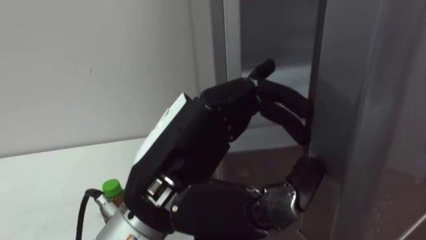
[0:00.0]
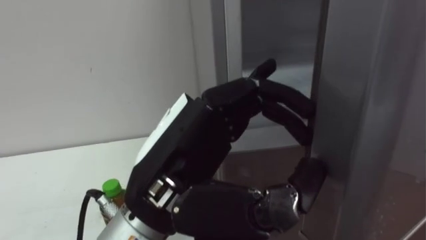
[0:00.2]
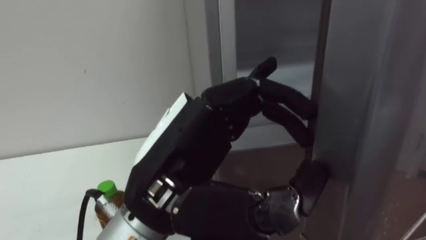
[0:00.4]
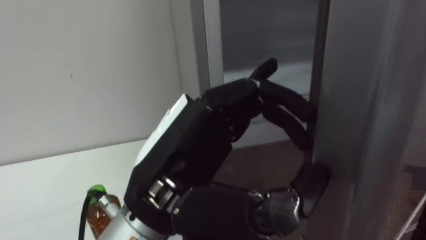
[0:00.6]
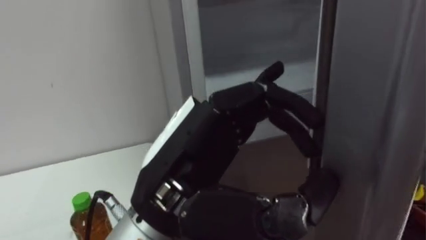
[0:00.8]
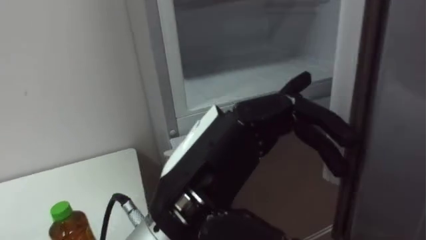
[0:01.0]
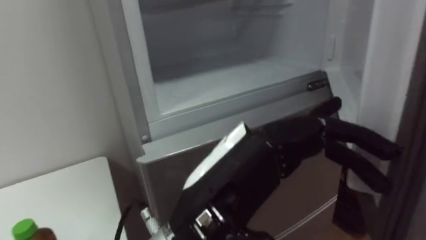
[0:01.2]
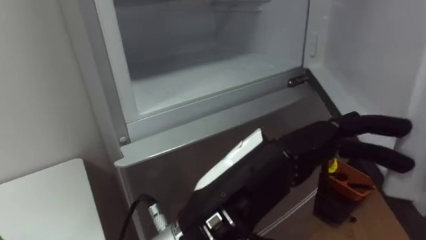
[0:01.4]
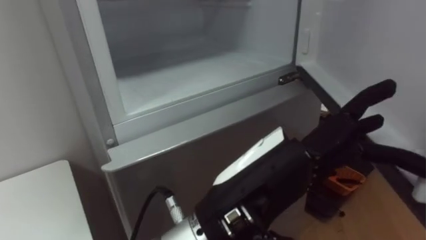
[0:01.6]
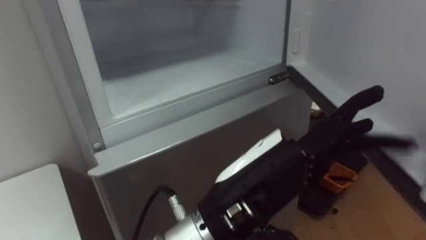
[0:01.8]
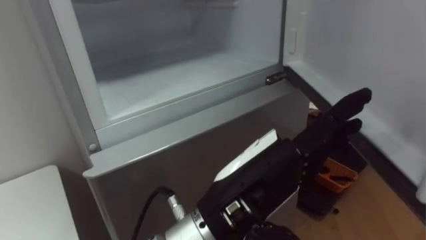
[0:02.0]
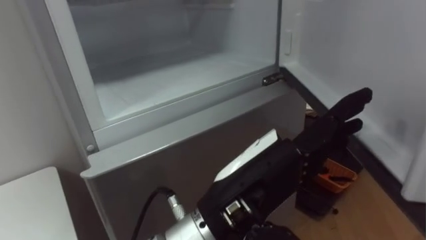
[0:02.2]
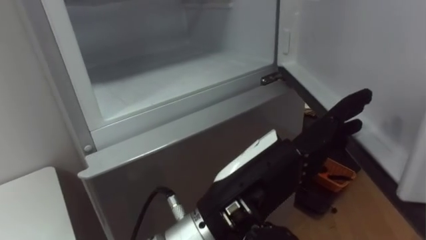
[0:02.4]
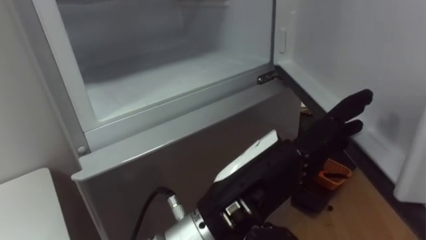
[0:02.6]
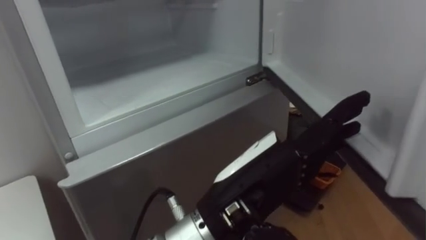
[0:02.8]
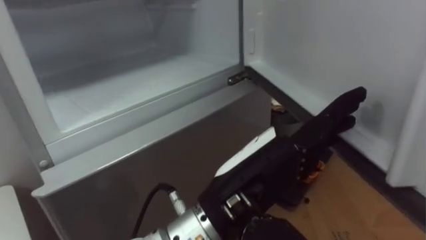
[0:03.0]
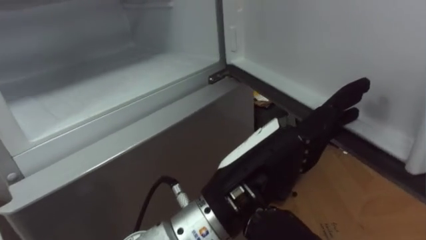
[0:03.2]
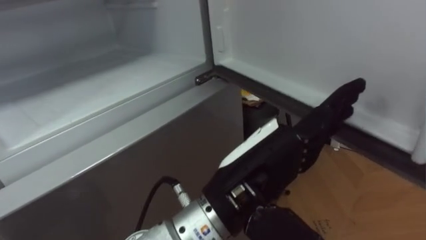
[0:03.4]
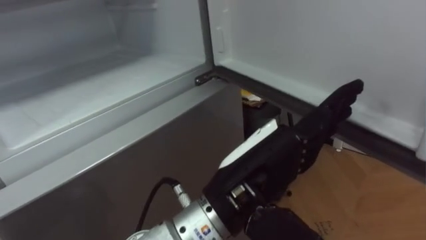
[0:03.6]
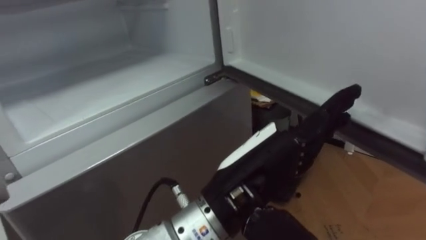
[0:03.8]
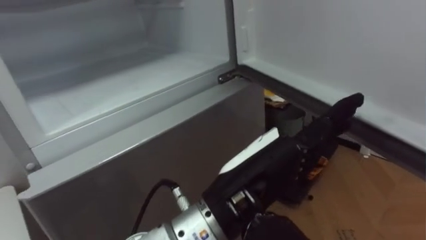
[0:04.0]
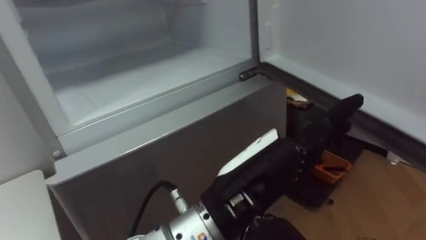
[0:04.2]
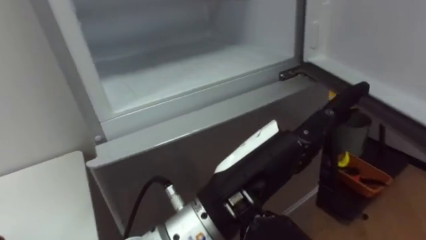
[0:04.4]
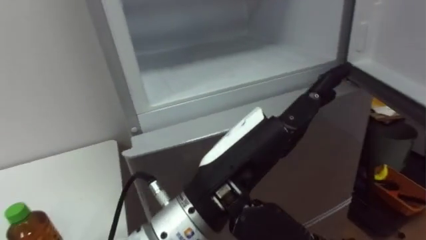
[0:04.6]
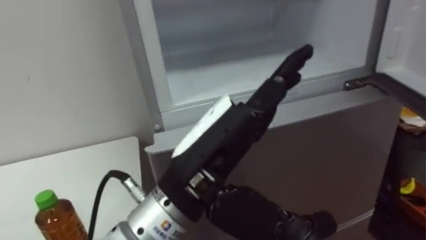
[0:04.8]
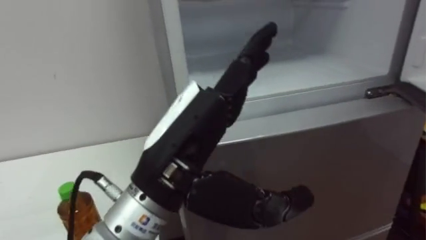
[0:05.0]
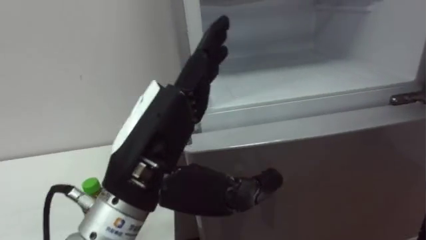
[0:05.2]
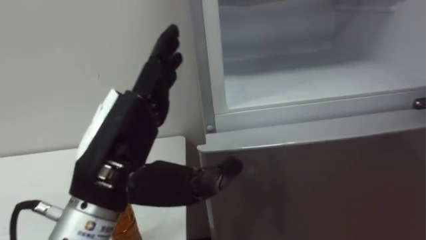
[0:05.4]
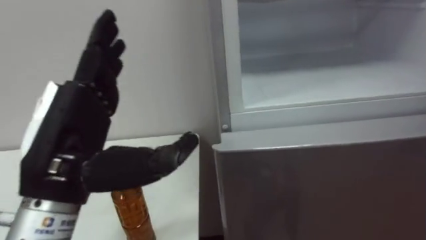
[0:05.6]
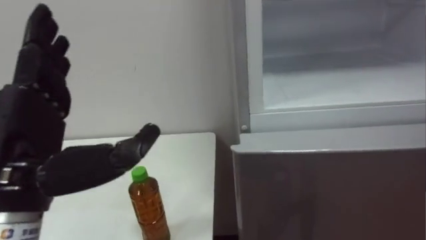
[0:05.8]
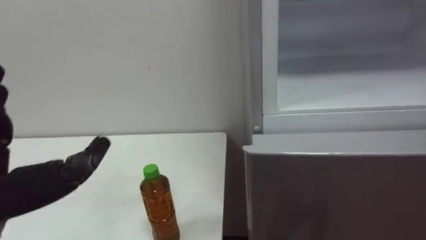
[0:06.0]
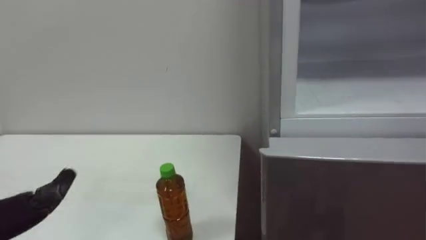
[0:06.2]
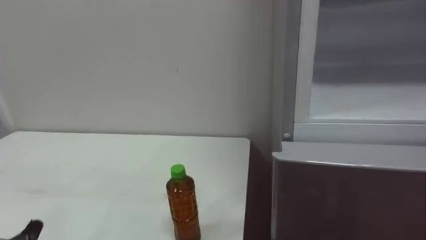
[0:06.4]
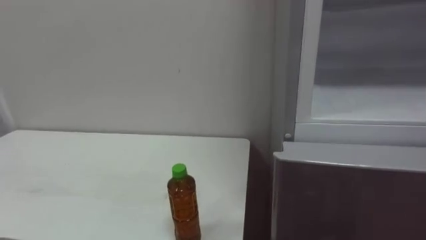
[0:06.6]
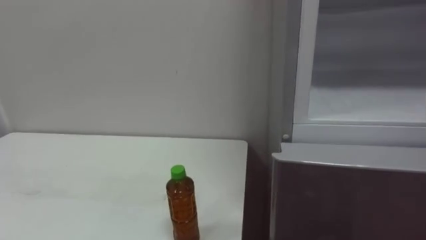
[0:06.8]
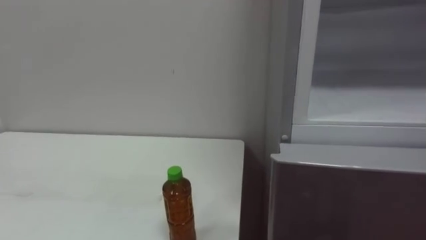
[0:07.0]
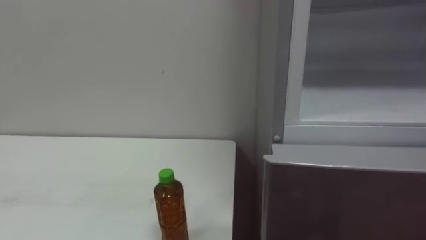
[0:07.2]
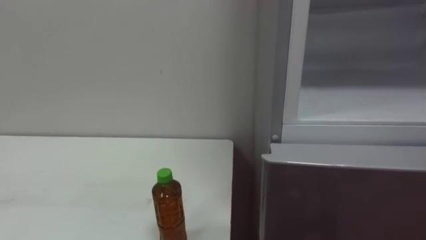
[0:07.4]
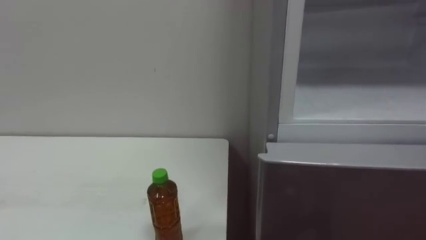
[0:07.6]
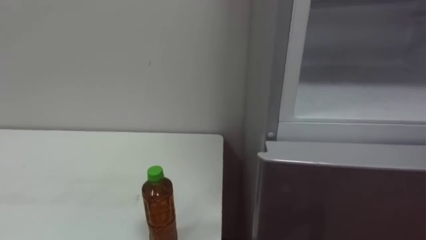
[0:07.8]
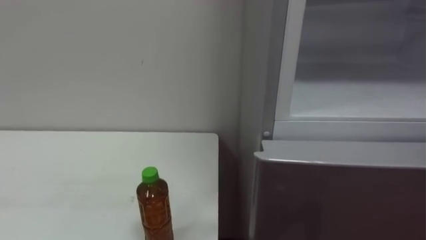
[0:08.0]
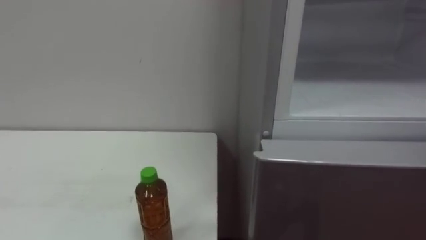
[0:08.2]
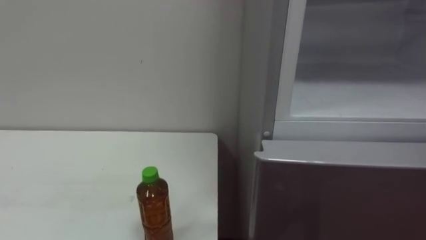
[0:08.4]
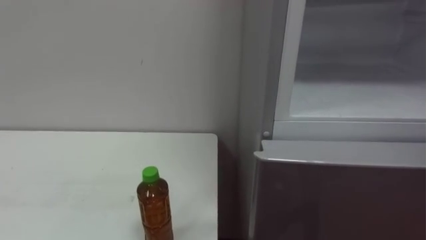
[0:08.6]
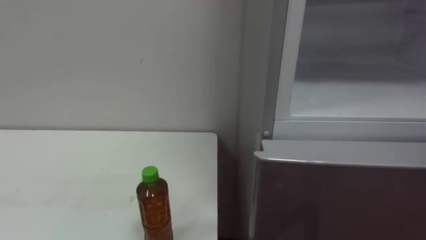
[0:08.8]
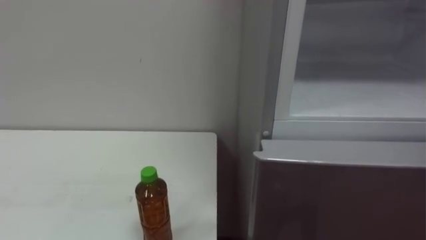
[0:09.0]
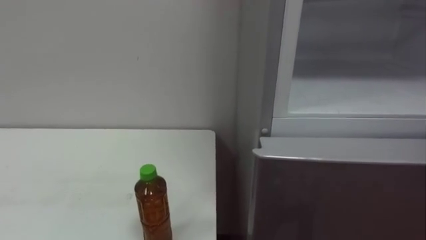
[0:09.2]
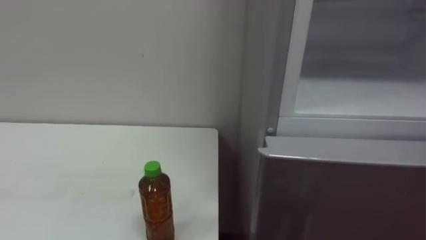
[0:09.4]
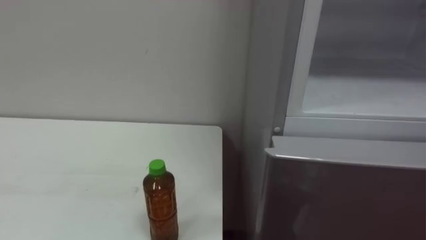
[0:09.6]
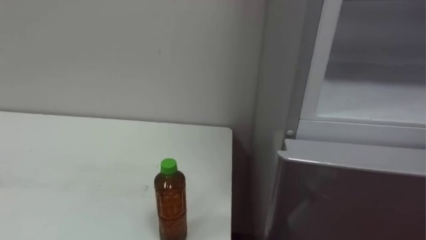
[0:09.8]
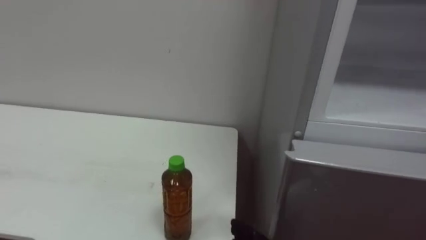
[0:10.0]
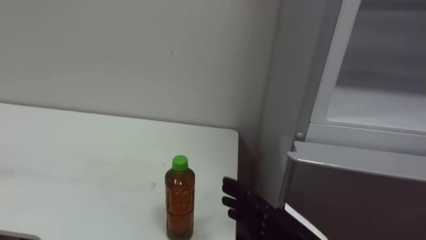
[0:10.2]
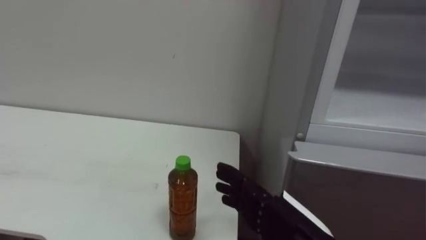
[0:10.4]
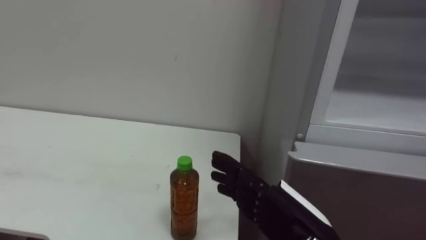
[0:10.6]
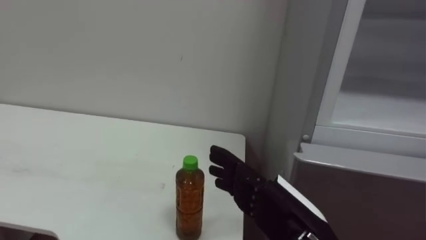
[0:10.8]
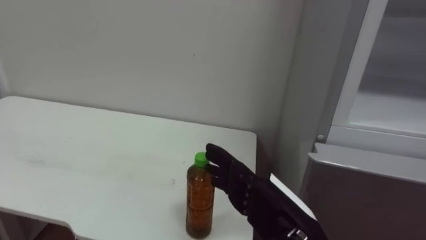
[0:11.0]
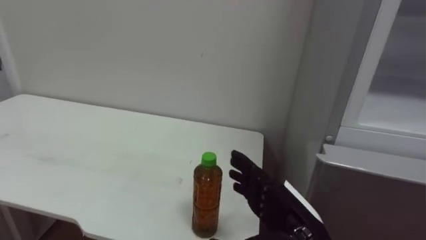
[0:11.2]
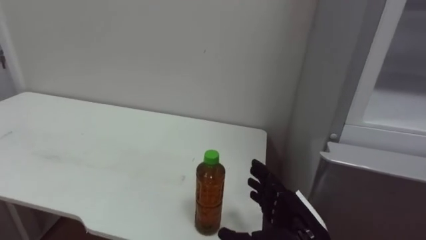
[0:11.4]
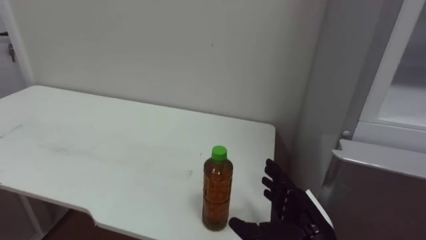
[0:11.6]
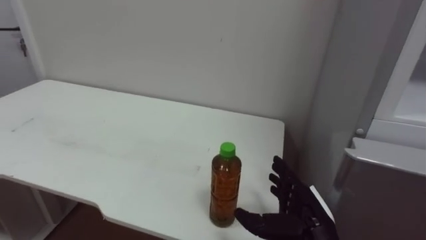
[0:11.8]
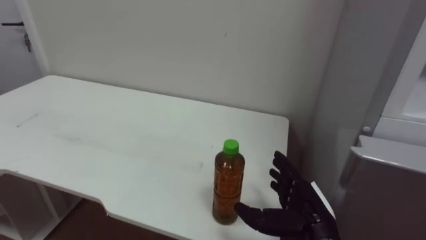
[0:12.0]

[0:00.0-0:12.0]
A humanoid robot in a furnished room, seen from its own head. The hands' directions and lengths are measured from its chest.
Task of the whole recording: Open the upper refrigerator door, put the drink from the table into the refrigerator, and then close the refrigerator door.
0:00.0 to 0:01.6: The left hand goes some 5 cm to the right.
0:10.4 to 0:12.0: The right hand goes some 10 cm forward and downward.

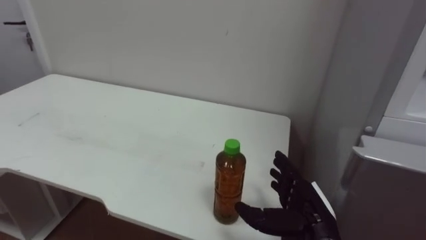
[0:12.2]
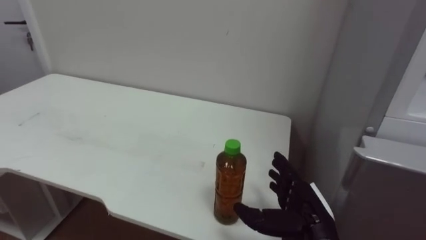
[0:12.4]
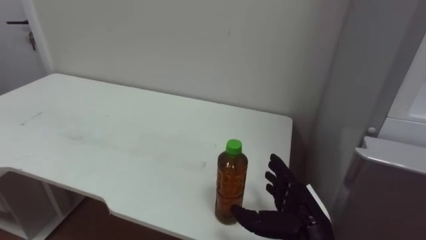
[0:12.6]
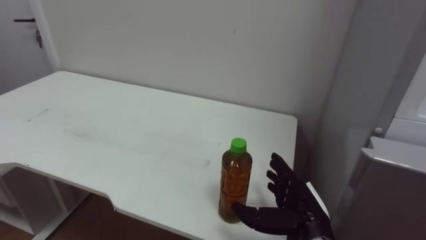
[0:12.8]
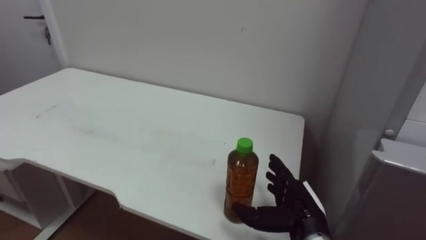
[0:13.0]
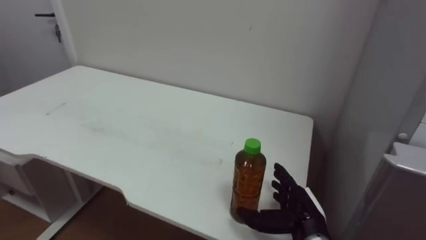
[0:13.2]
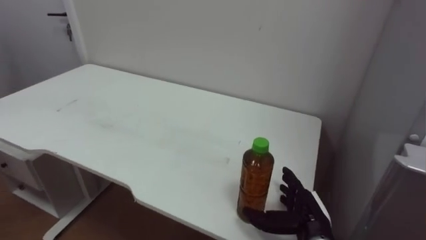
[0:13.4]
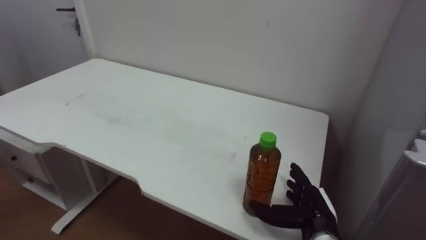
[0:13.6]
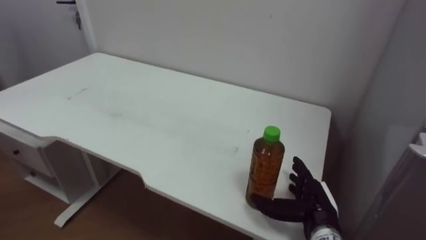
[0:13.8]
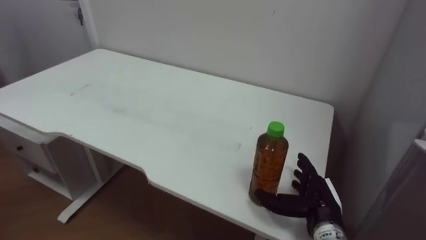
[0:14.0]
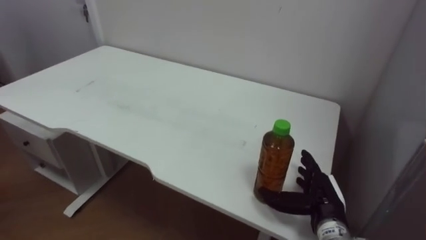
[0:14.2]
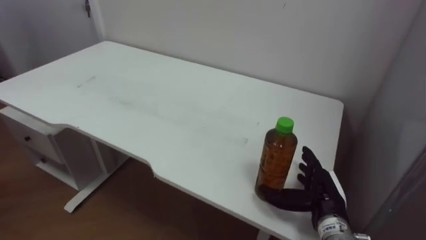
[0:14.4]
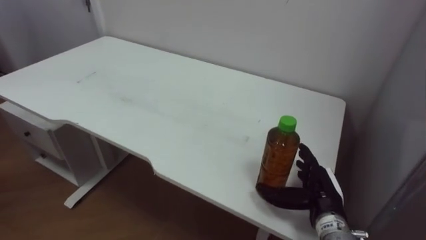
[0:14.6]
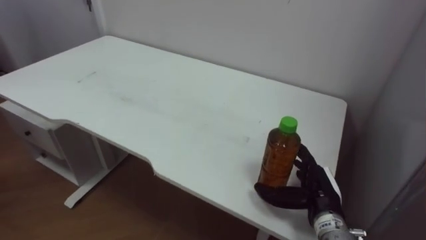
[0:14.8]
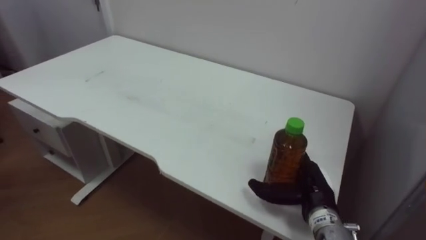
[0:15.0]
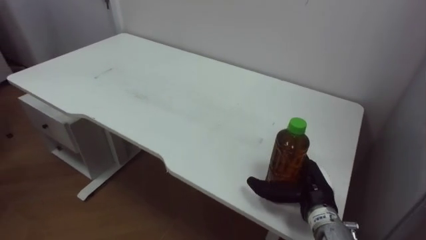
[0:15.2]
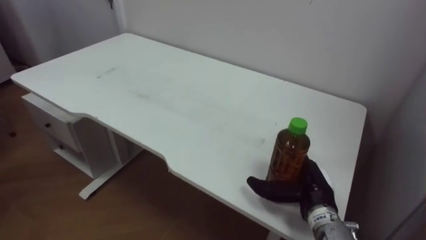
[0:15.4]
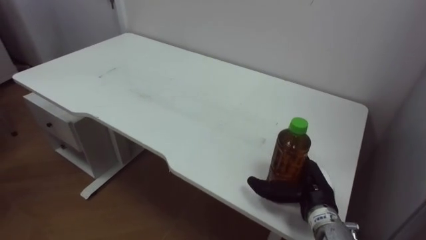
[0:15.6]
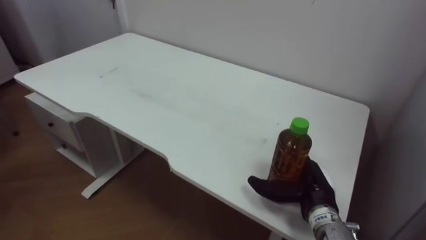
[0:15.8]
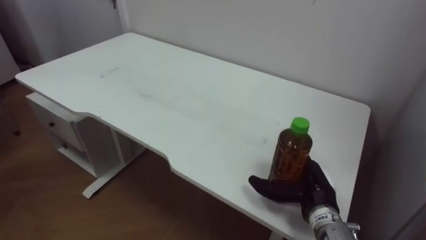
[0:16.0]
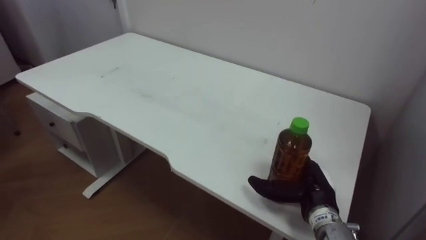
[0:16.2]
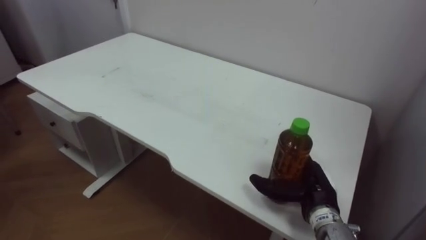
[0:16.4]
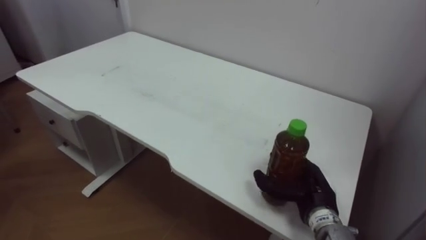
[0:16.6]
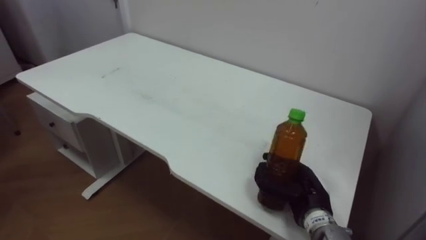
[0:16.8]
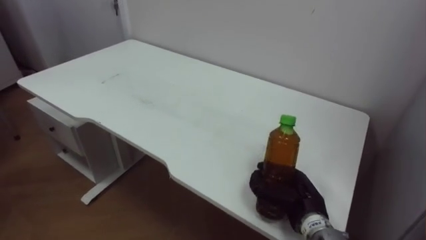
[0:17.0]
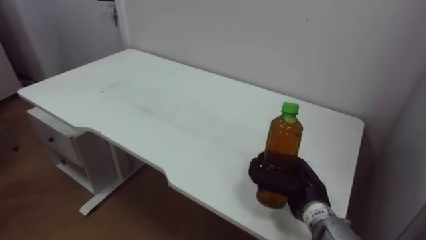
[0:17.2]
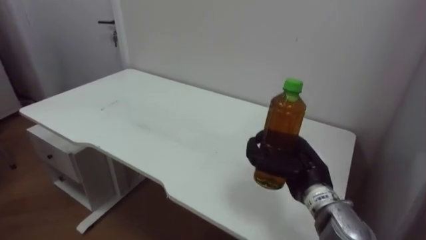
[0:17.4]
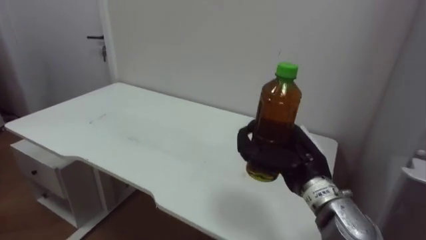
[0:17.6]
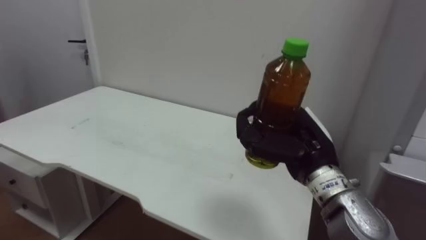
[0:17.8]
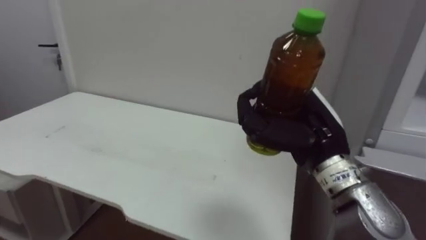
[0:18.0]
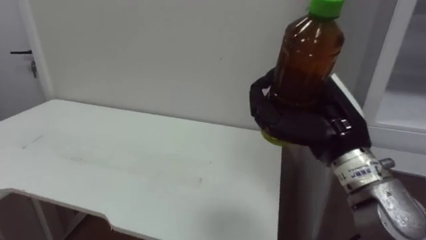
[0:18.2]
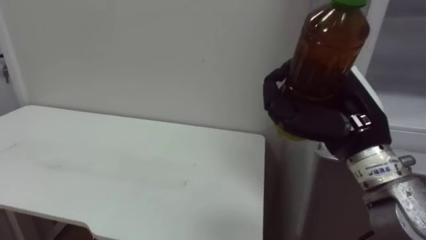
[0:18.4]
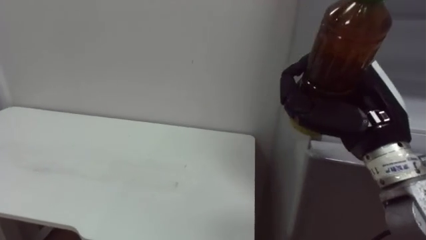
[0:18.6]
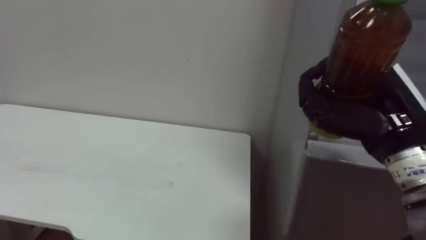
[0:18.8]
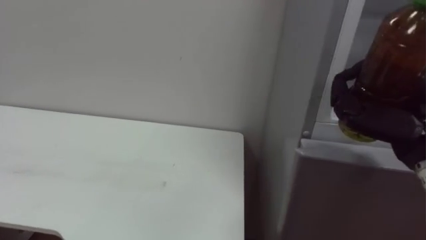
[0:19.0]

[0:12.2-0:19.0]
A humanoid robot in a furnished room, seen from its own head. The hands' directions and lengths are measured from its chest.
Task of the whole recording: Open the upper refrigerator door, put the drink from the table into the refrigerator, and then close the refrigerator door.
0:12.2 to 0:13.6: The right hand ends up roughly 5 cm from where it was.
0:16.2 to 0:17.6: The right hand is displaced upward by about 10 cm, and closes.
0:17.6 to 0:19.0: The right hand heads to the right, upward and backward, covering roughly 15 cm.
